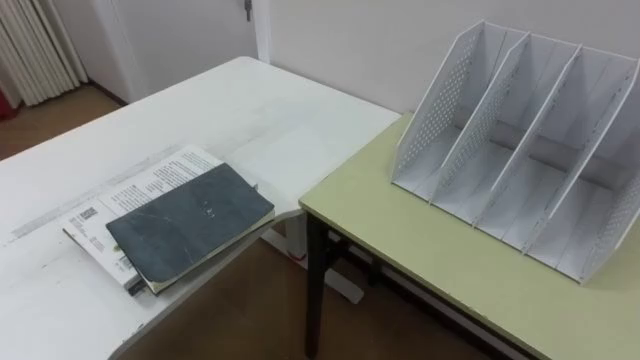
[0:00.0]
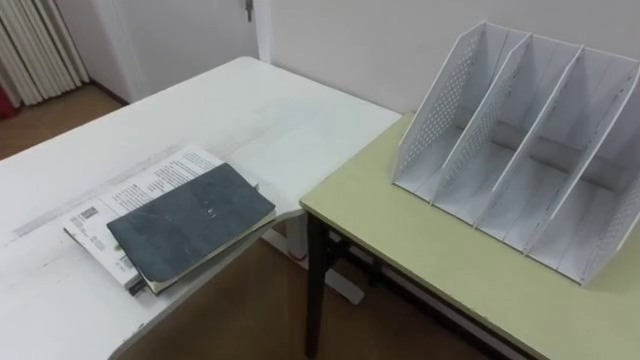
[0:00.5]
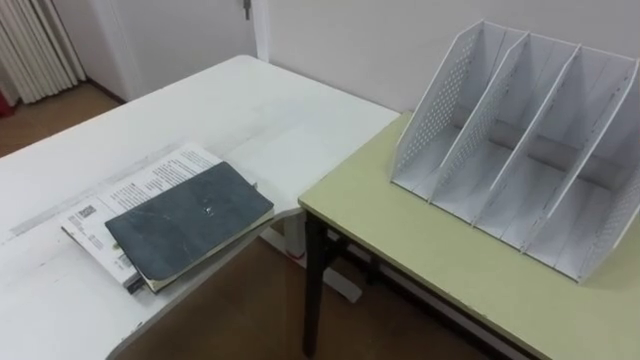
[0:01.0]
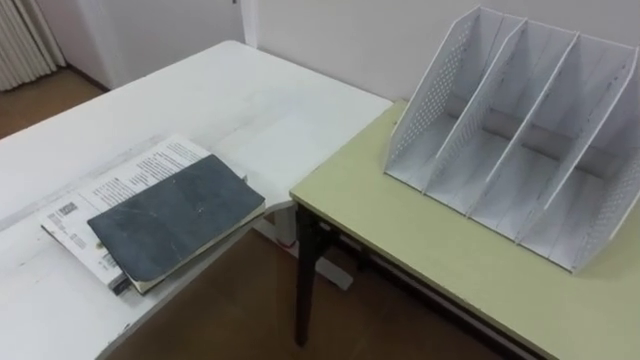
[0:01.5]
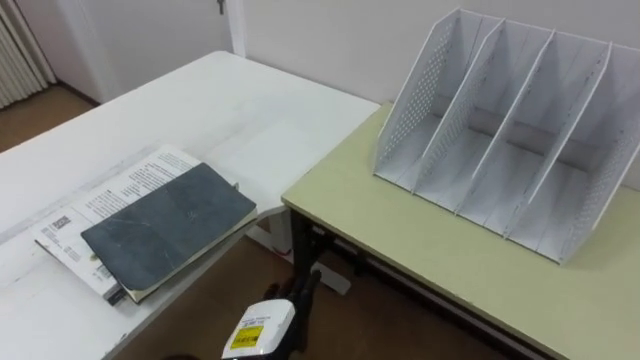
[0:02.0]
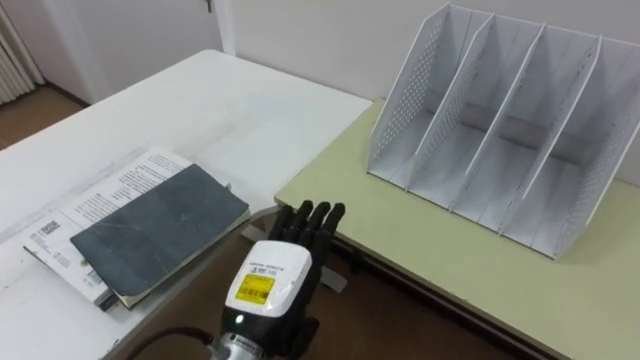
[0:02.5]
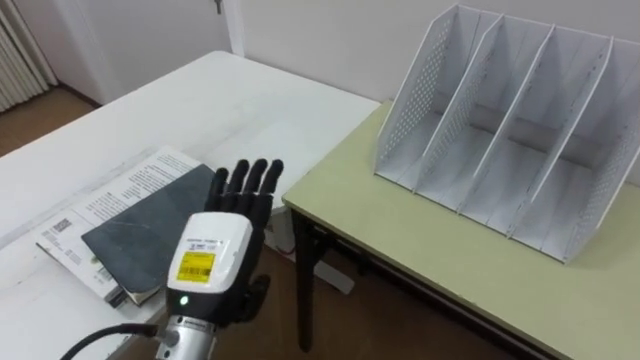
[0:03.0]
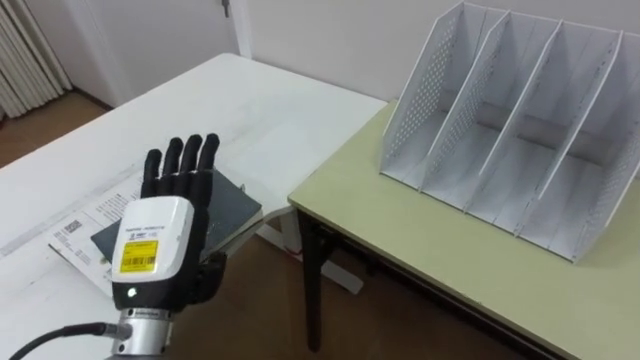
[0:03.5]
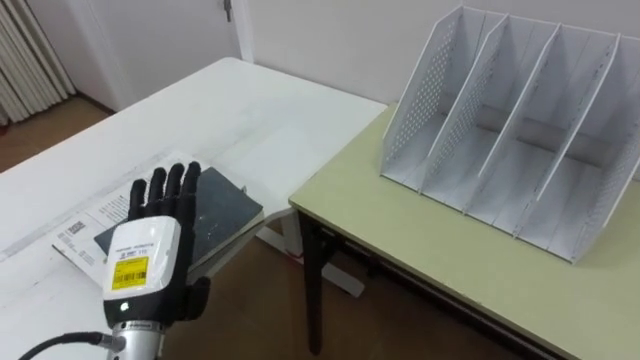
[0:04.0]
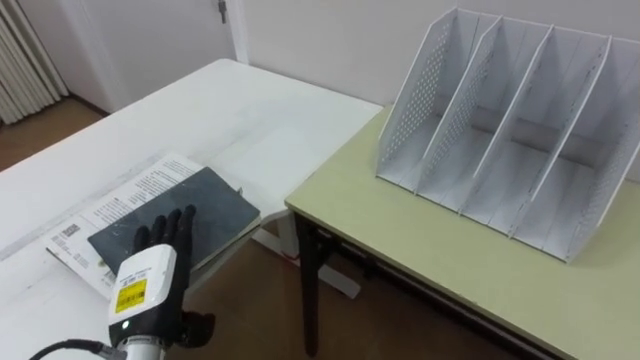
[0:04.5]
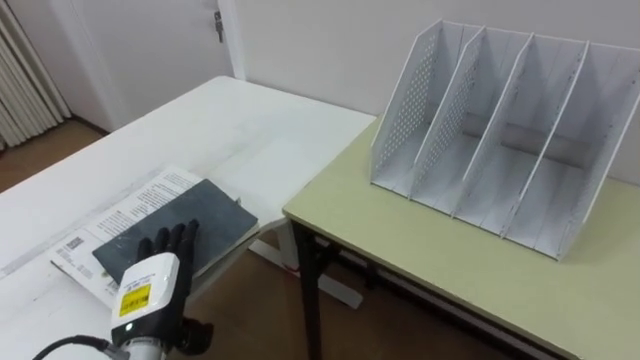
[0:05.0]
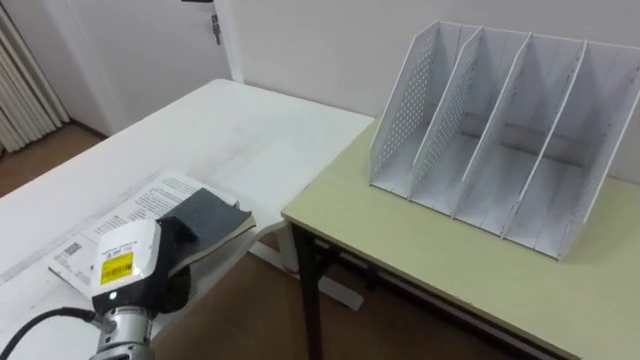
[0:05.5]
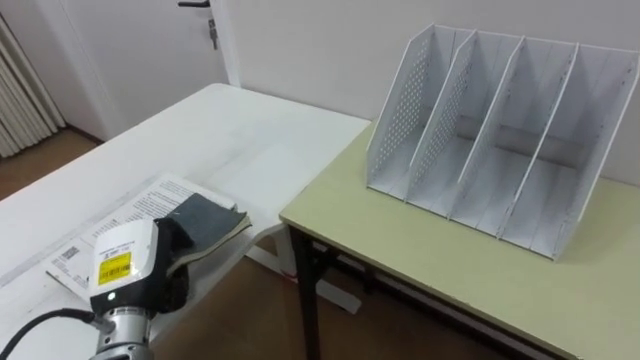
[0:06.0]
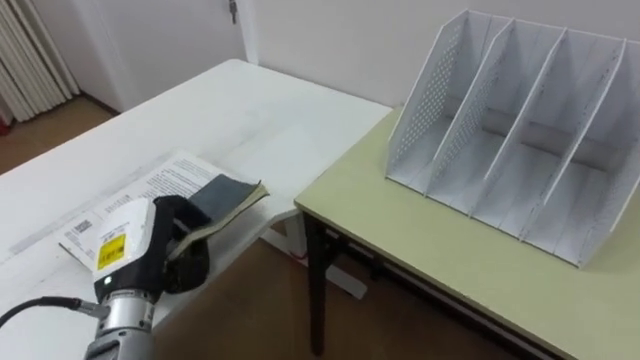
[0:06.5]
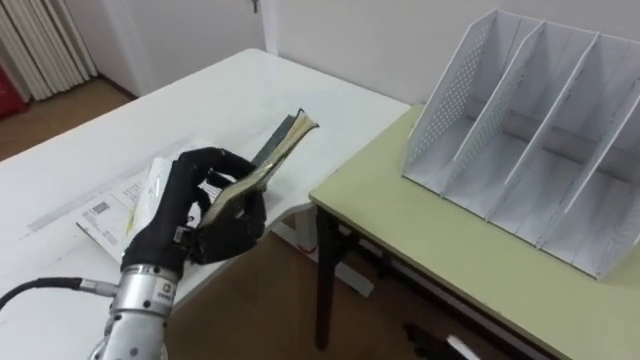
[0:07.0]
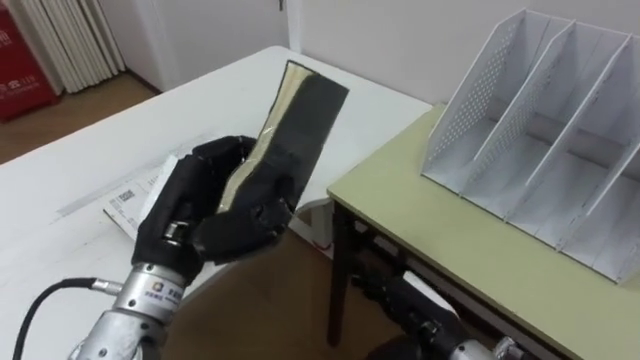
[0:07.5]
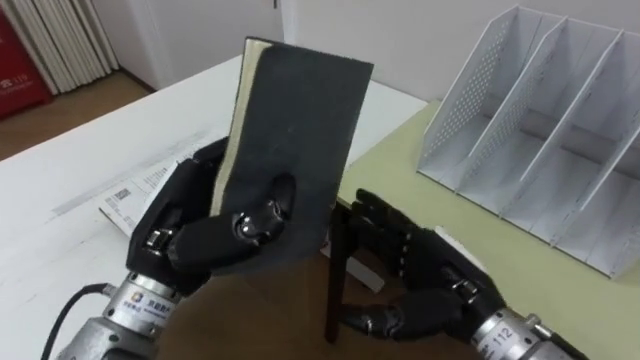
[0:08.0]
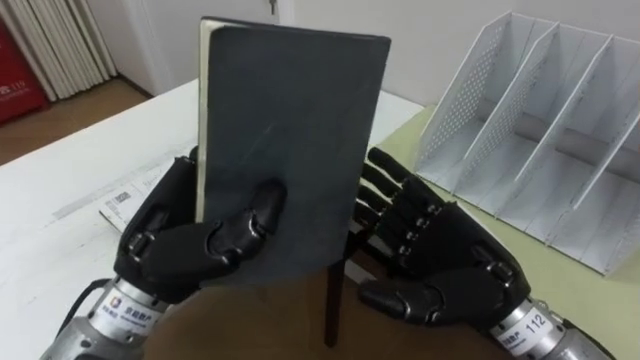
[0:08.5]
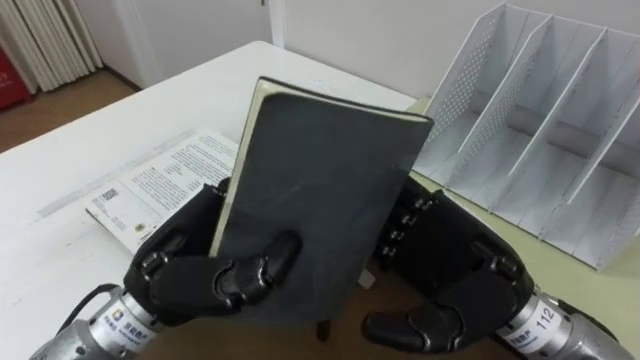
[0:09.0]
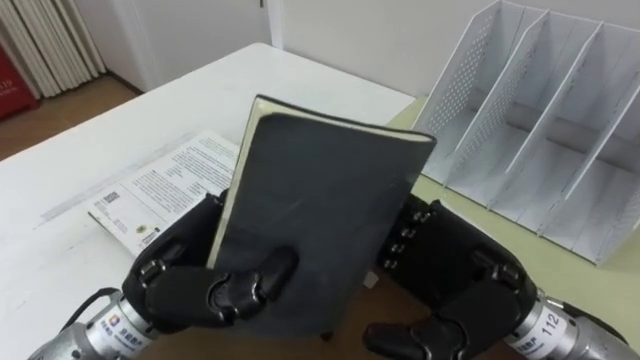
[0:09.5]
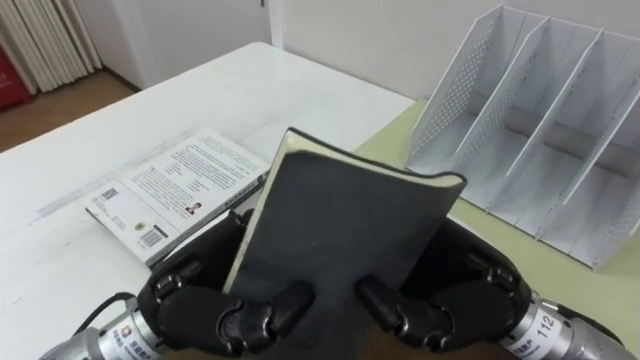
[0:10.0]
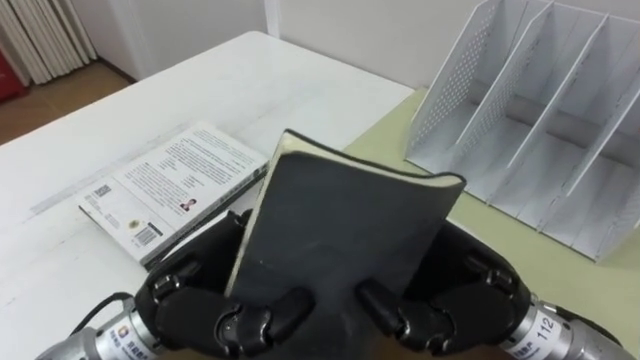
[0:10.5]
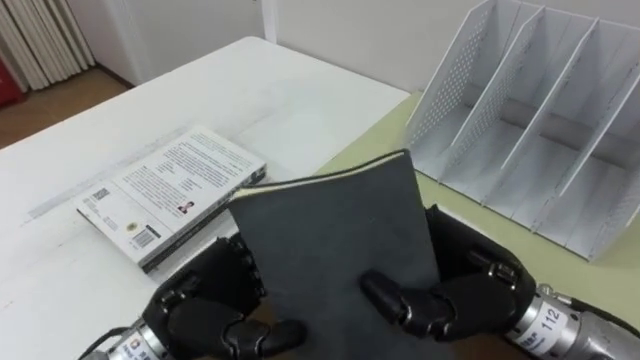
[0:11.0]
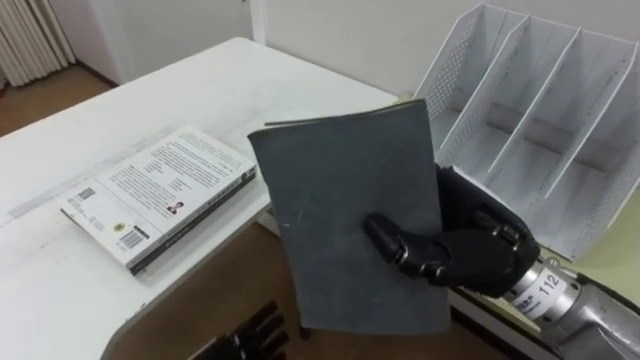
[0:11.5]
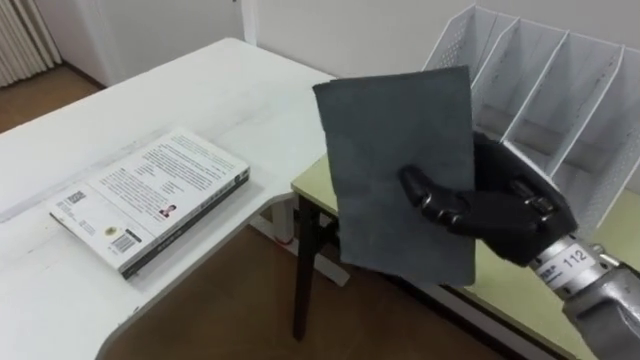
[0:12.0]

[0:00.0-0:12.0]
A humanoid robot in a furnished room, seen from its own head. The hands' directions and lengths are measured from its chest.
Task of the whole recording: Put the books on the table onto the bookshelf.
0:02.0 to 0:04.0: The left hand travels to the left and upward by roughly 15 cm.
0:04.0 to 0:06.0: The left hand shifts by some 5 cm, and closes up.
0:06.0 to 0:08.0: The left hand travels upward and to the right by approximately 15 cm.
0:08.0 to 0:10.0: The left hand moves about 5 cm; the right hand moves upward, some 5 cm, and closes.
0:10.0 to 0:12.0: The right hand is displaced forward and to the right by about 10 cm.

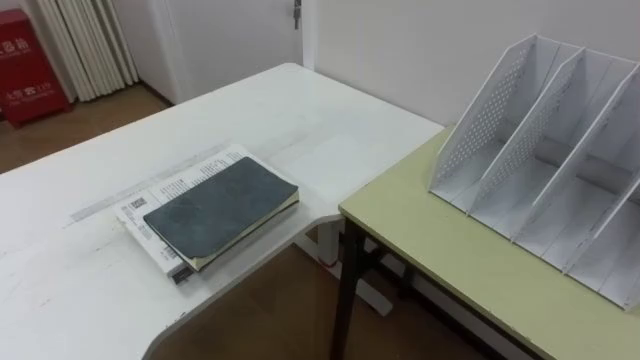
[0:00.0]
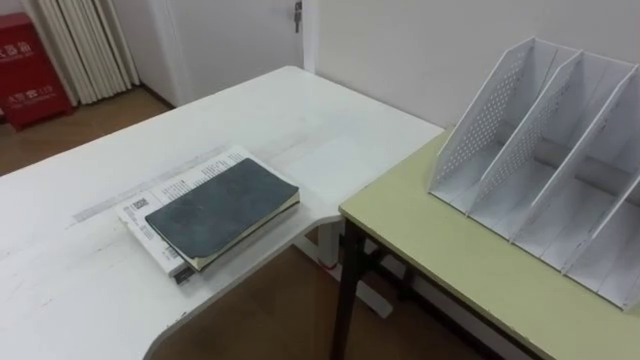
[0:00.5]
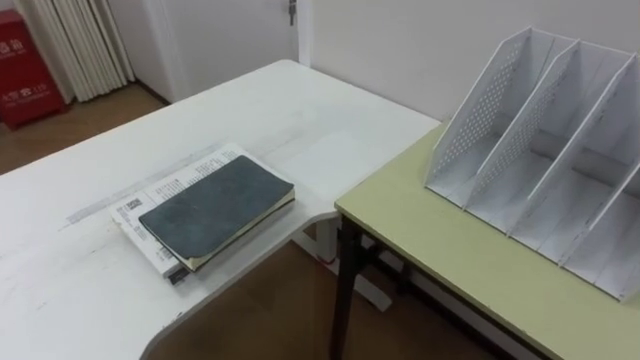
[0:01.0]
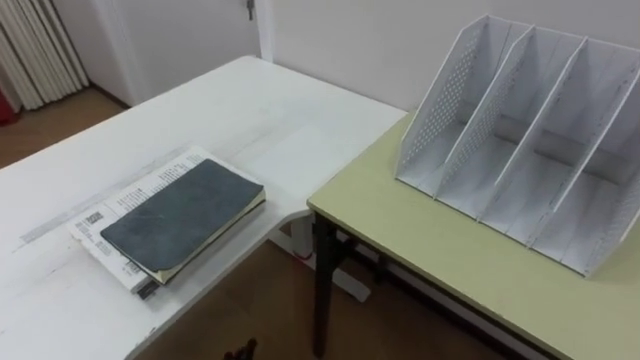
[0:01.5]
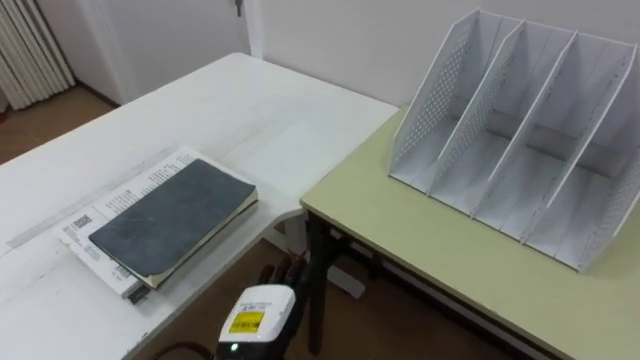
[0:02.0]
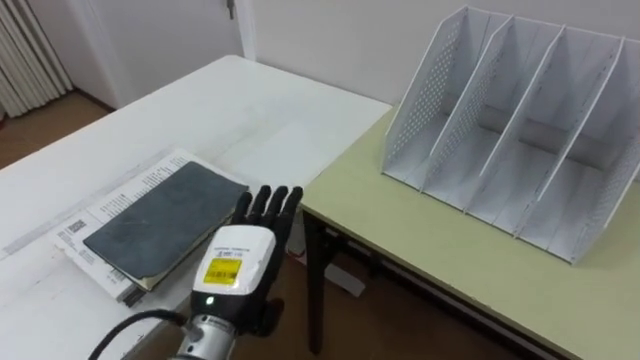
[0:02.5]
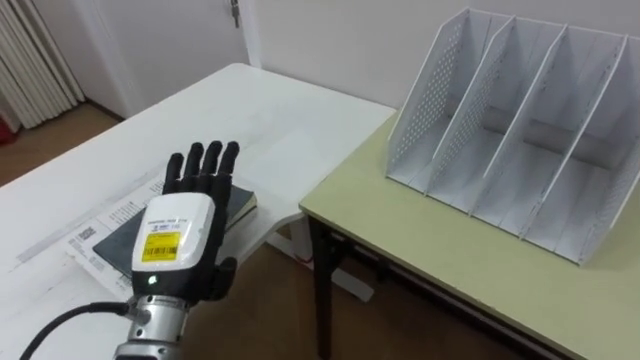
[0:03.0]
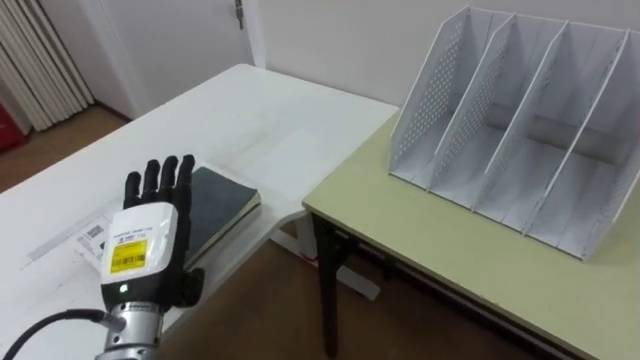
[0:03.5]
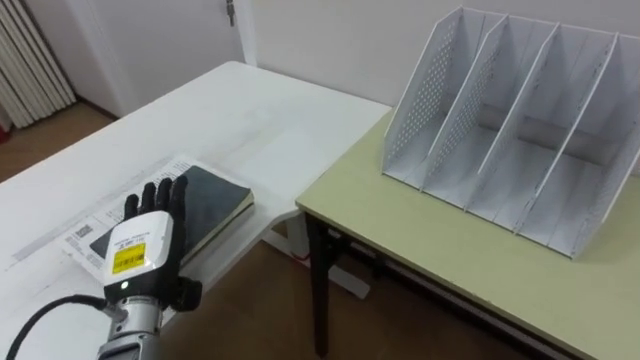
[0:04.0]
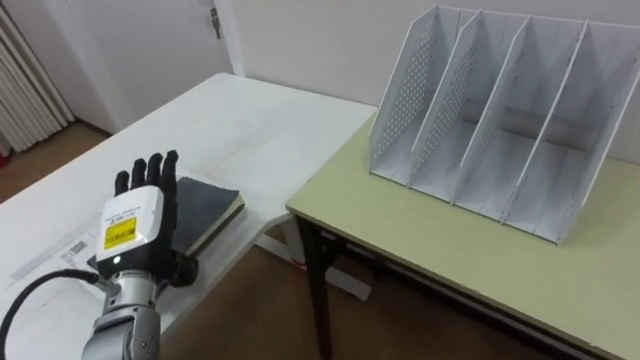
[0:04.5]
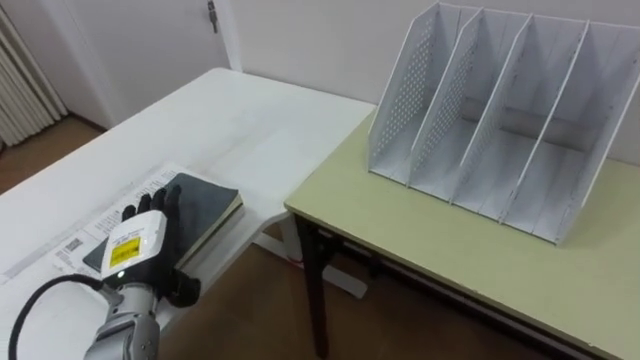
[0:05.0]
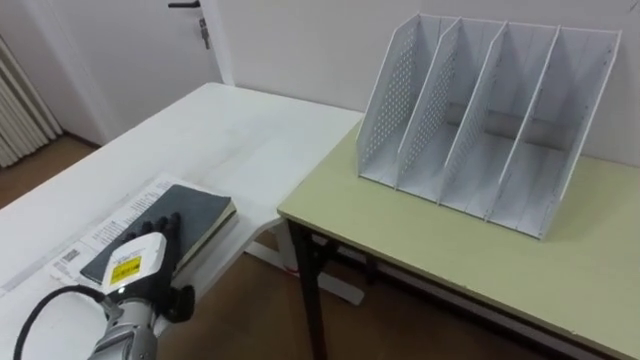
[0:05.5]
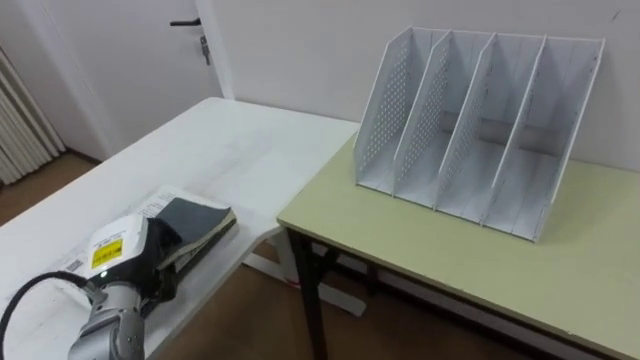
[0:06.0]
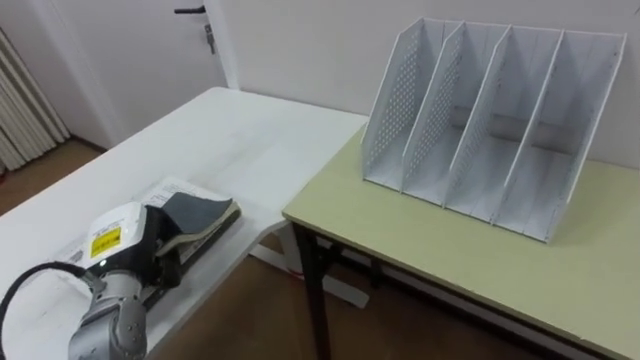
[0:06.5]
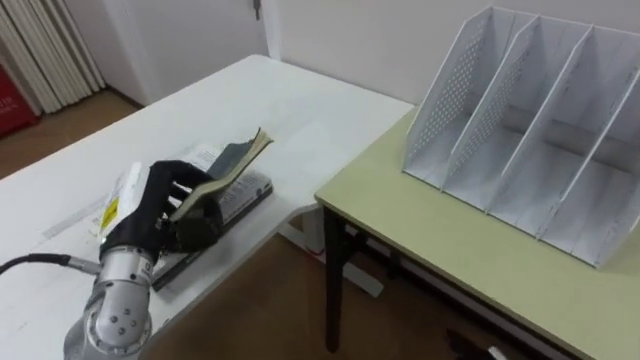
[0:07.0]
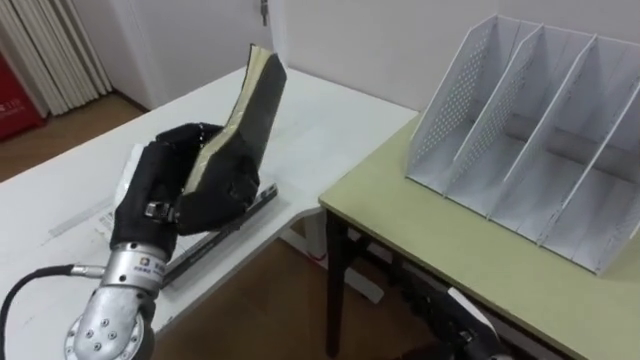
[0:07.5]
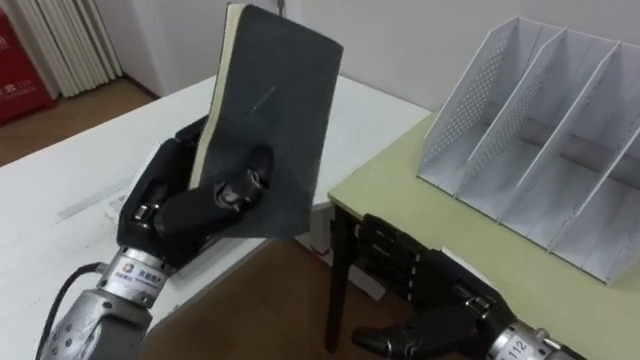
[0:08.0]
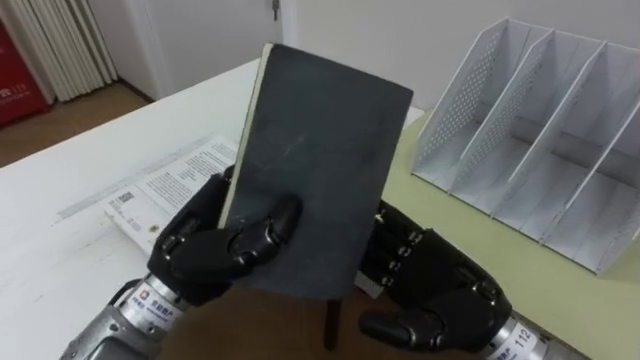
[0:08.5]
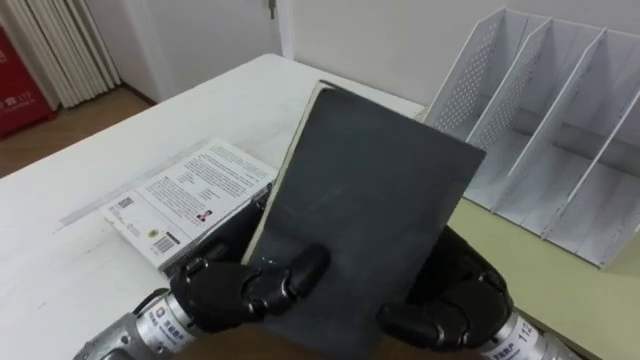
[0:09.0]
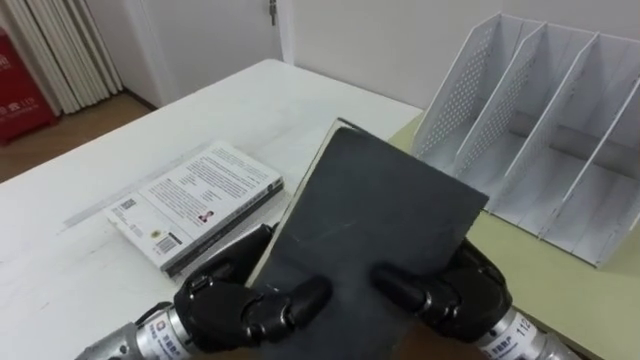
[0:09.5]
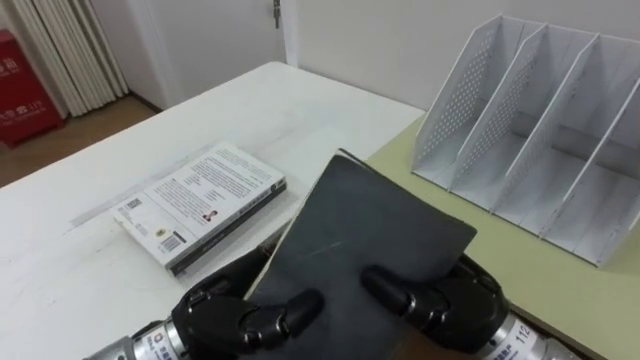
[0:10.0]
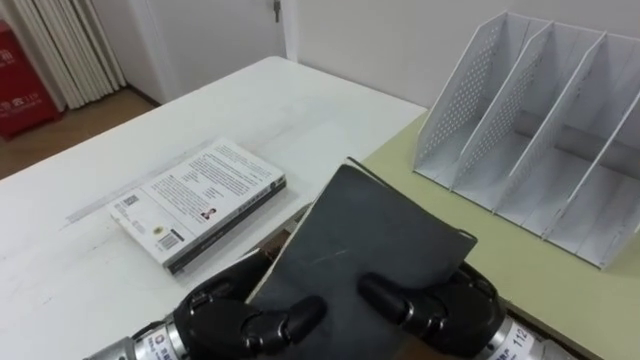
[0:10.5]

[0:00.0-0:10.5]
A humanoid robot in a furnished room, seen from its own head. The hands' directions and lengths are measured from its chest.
Task of the whole recording: Put the books on the table onto the bookshelf.
0:02.0 to 0:04.0: The left hand travels to the left, upward and forward by about 15 cm.
0:04.0 to 0:06.5: The left hand closes.
0:06.5 to 0:08.5: The left hand shifts roughly 20 cm to the right, upward and backward.
0:08.5 to 0:10.5: The right hand closes its fingers. Meanwhile the left hand shifts approximately 5 cm downward.
